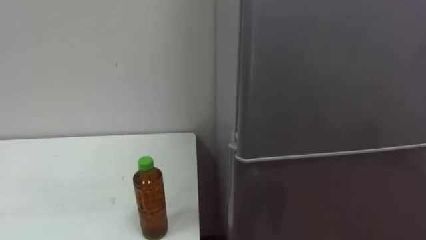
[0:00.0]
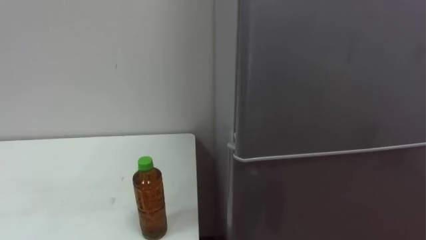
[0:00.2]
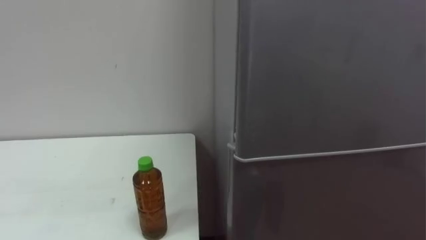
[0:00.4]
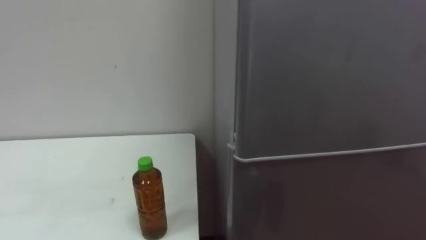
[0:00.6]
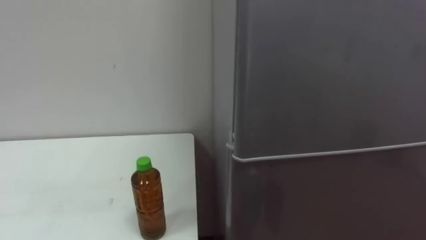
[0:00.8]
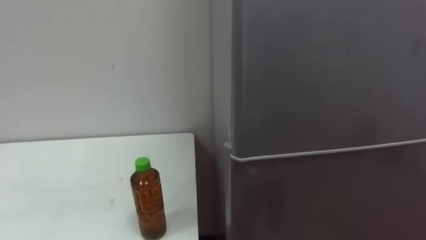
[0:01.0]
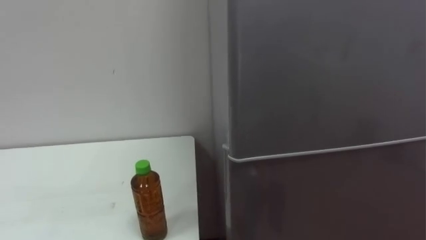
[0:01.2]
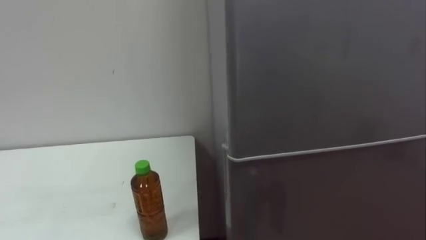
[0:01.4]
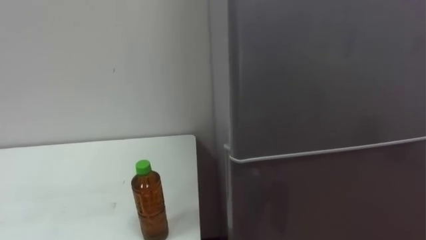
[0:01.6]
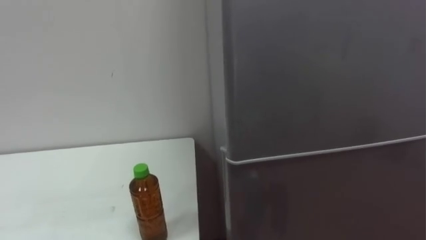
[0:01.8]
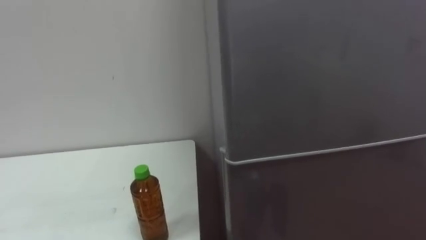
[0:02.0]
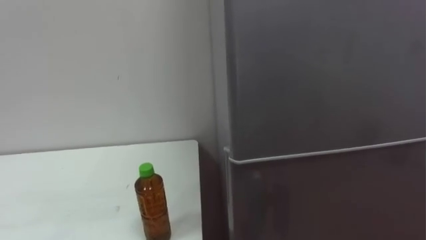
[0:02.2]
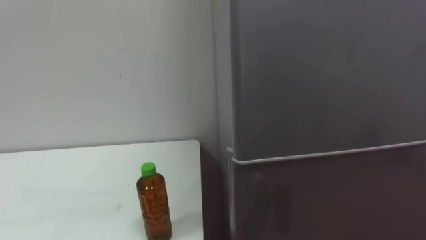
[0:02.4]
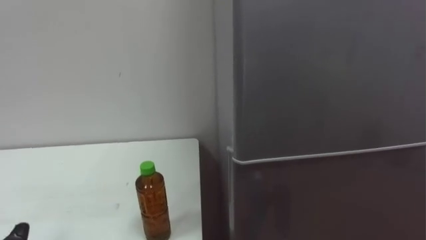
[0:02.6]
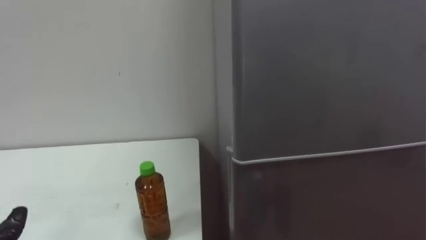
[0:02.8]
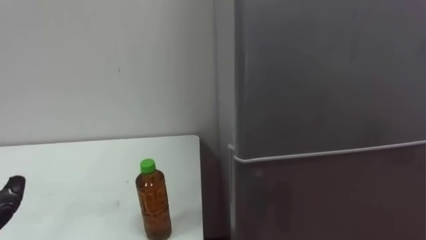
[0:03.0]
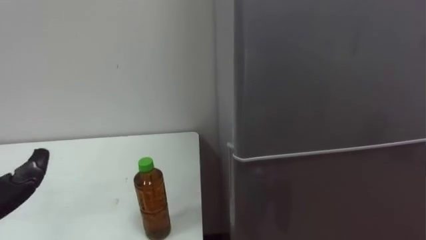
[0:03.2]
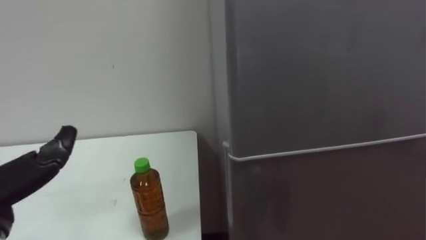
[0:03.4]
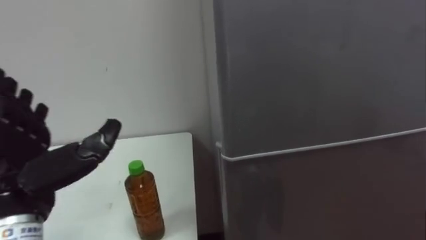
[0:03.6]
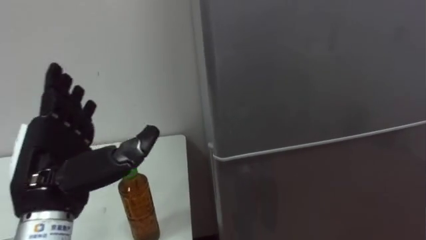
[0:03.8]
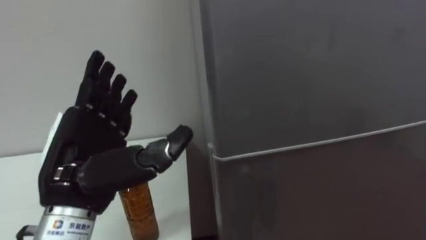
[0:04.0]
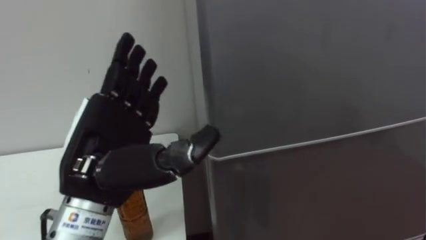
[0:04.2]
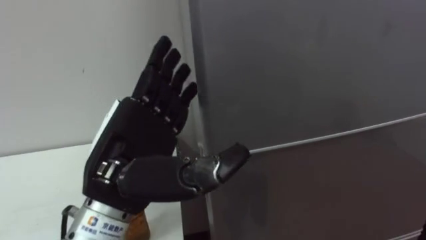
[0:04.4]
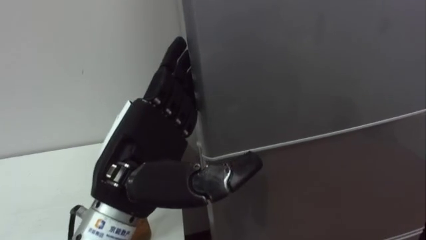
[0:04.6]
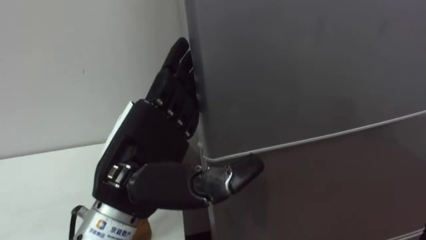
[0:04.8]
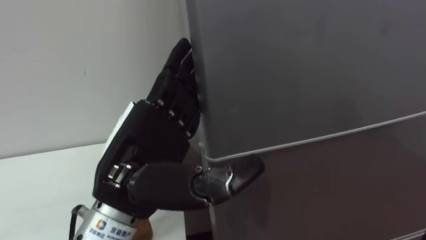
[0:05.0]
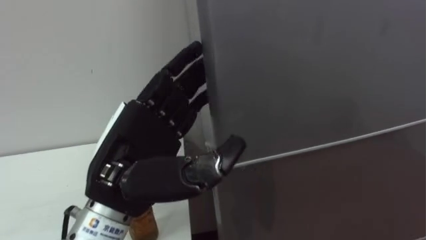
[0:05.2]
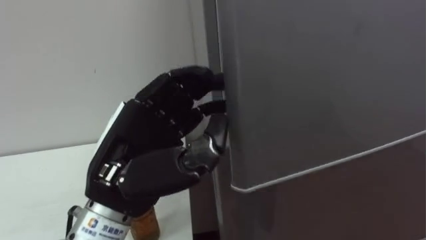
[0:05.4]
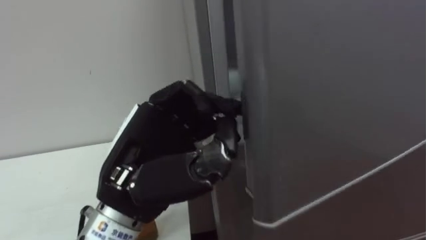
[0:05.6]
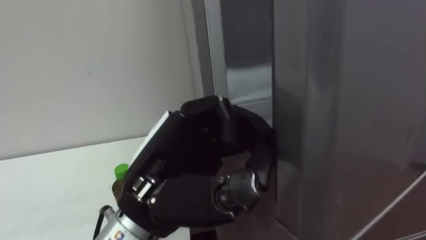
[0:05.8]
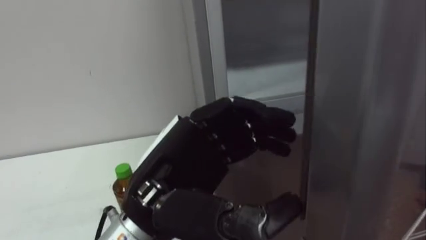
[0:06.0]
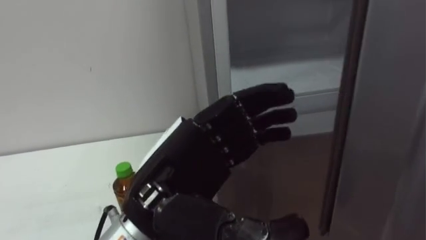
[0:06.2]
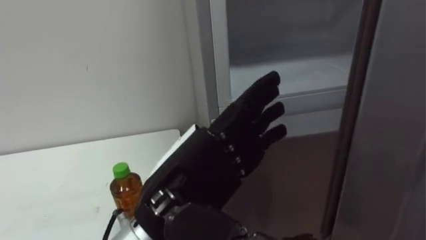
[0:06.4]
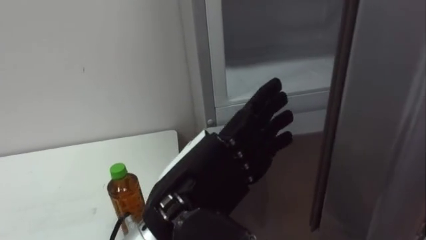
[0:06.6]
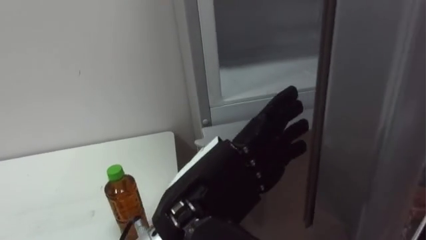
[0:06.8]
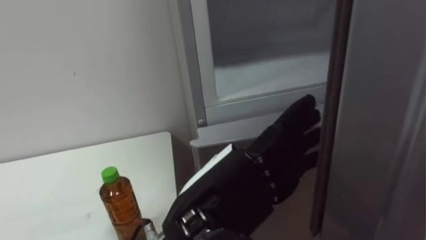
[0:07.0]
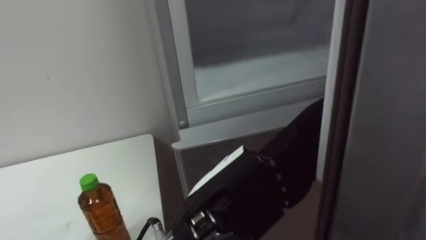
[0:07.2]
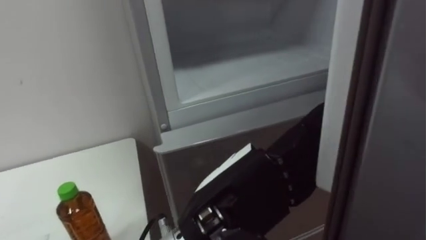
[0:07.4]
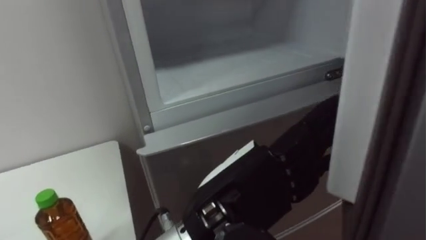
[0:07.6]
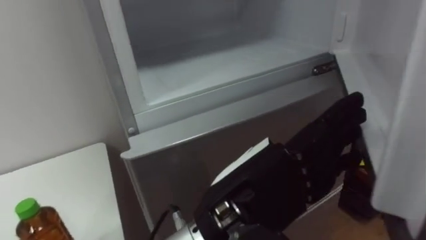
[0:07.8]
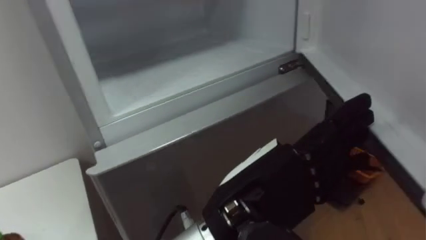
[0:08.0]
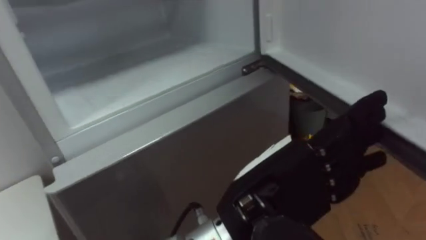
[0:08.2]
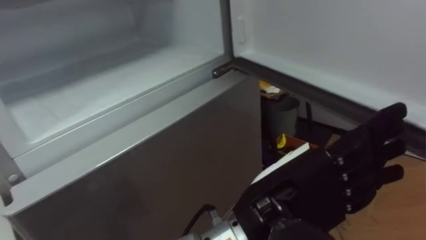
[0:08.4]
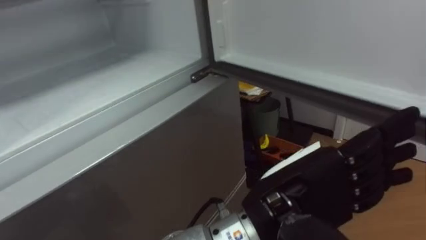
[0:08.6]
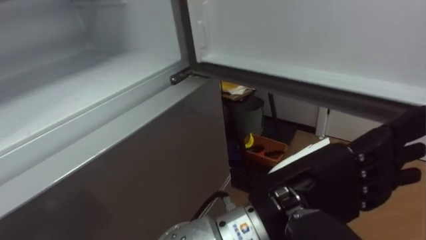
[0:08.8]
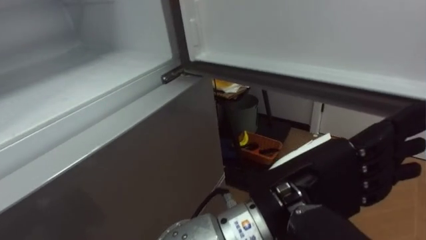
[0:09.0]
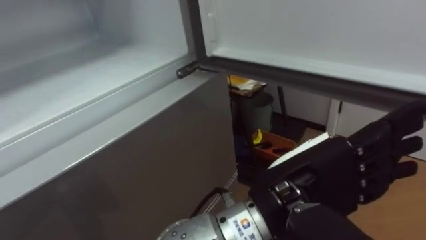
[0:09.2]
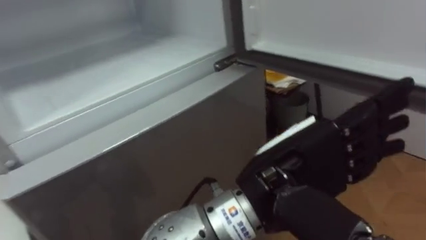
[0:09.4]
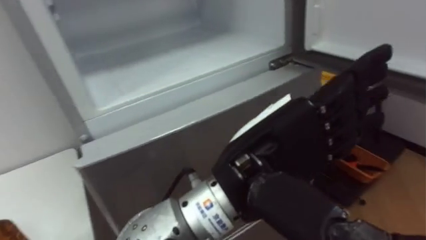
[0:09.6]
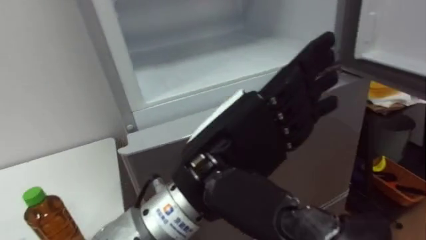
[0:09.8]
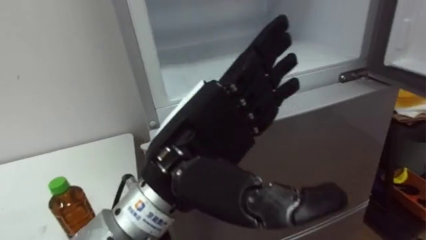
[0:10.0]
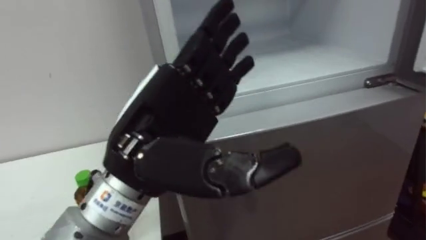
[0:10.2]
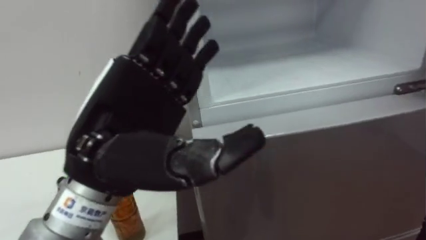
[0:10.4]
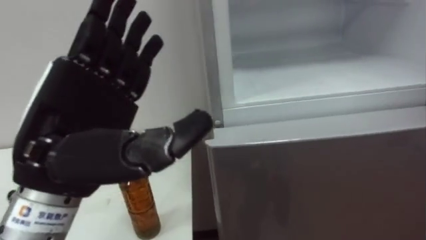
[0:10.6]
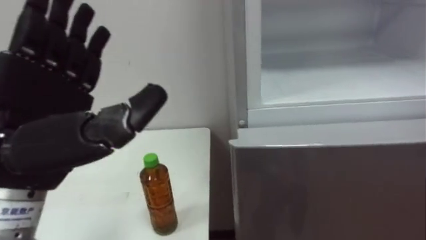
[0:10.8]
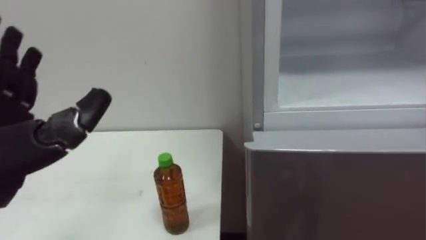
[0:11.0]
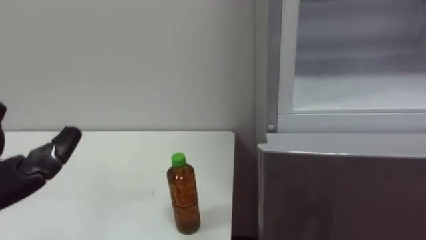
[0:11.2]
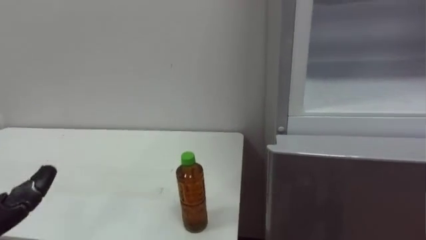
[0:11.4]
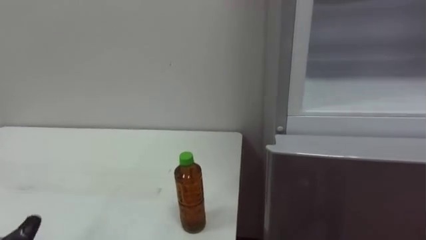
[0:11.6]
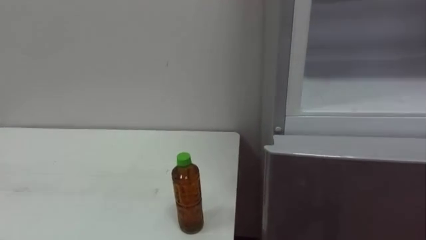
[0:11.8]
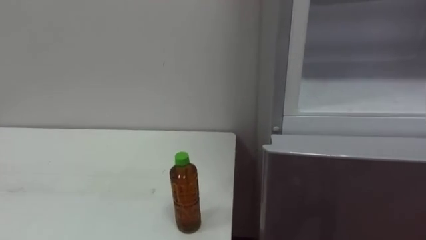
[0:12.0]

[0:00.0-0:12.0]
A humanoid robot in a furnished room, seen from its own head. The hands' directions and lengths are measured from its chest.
Task of the whole recording: Open the upper refrigerator door, put the drink from the table into the refrigerator, and then close the refrigerator door.
0:04.4 to 0:06.0: The left hand goes about 5 cm to the right, and closes its fingers.
0:06.0 to 0:07.6: The left hand moves to the right, some 5 cm, and opens.
0:07.6 to 0:09.0: The robot's body swings approximately 20 degrees to its right. The left hand heads to the right, covering approximately 5 cm.
0:09.0 to 0:10.4: The left hand moves to the left, some 20 cm.

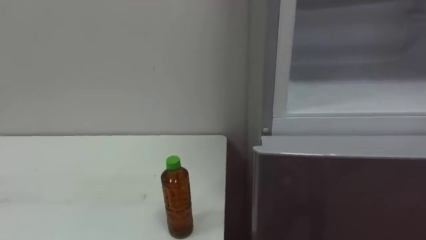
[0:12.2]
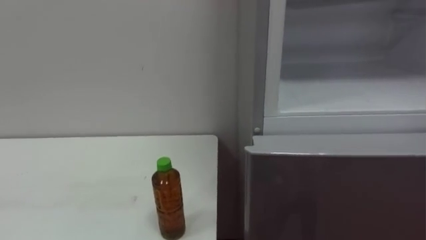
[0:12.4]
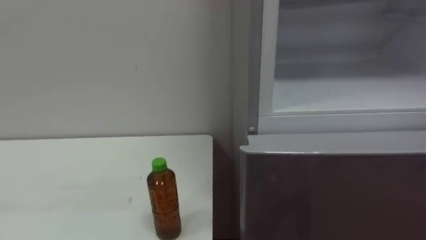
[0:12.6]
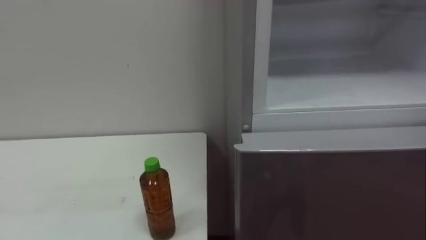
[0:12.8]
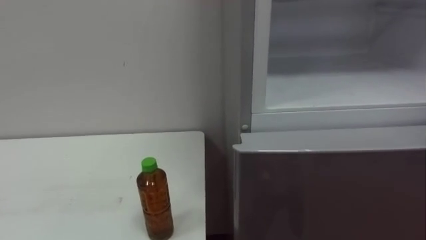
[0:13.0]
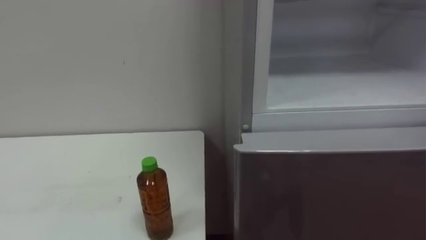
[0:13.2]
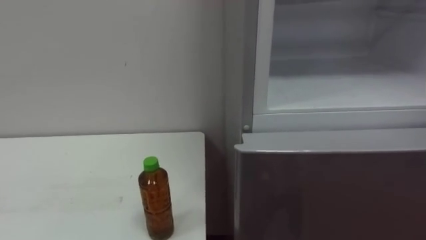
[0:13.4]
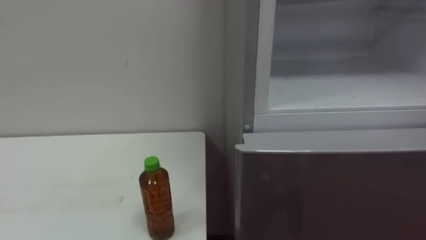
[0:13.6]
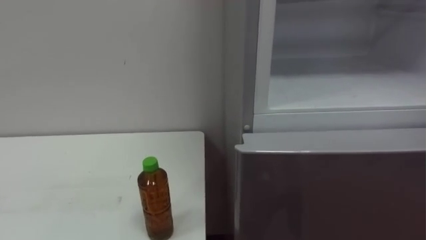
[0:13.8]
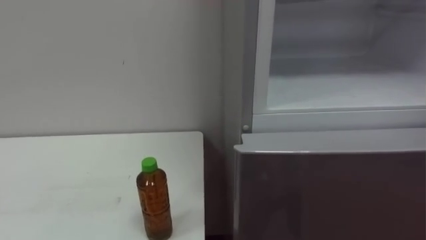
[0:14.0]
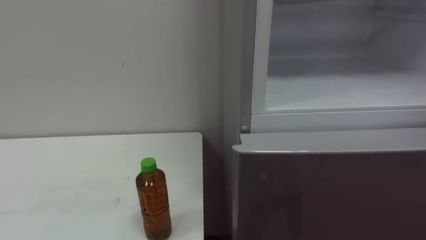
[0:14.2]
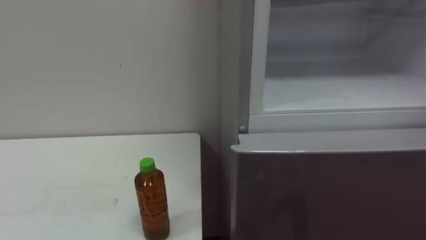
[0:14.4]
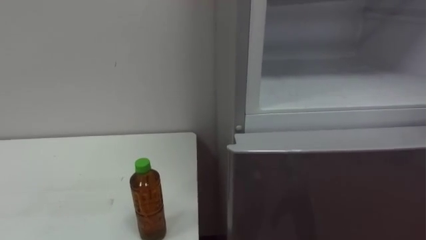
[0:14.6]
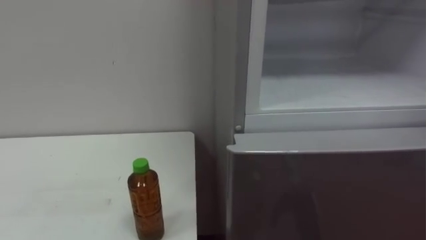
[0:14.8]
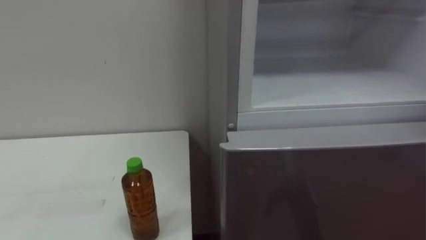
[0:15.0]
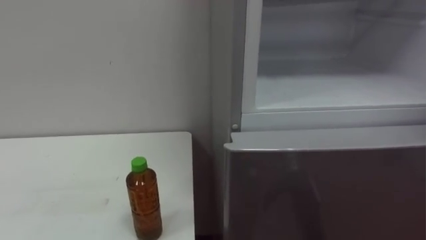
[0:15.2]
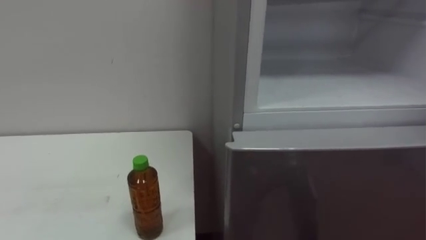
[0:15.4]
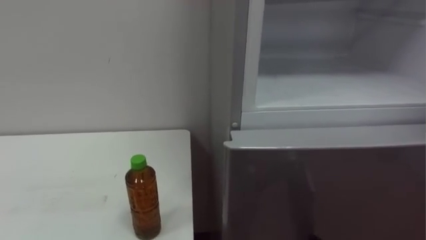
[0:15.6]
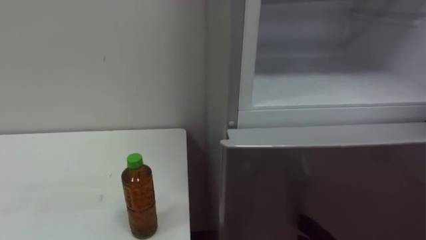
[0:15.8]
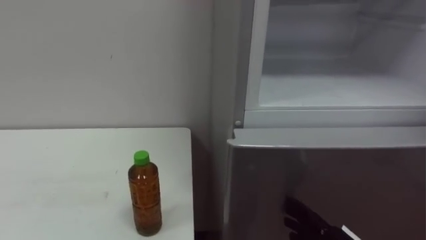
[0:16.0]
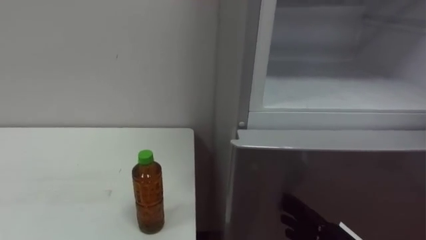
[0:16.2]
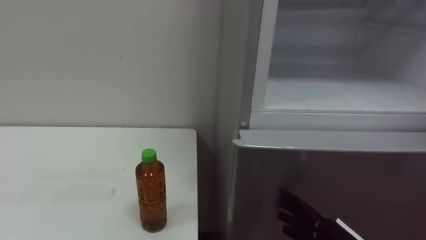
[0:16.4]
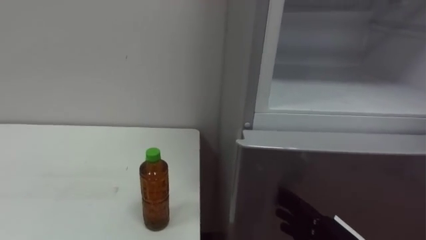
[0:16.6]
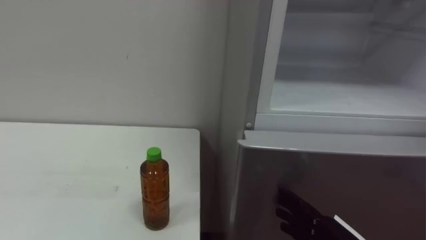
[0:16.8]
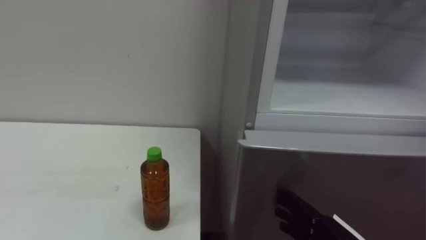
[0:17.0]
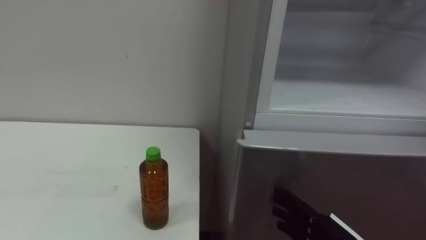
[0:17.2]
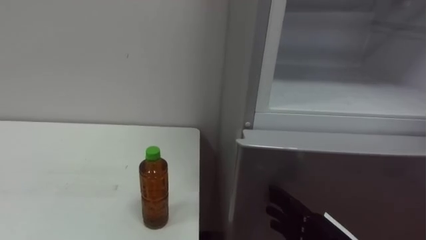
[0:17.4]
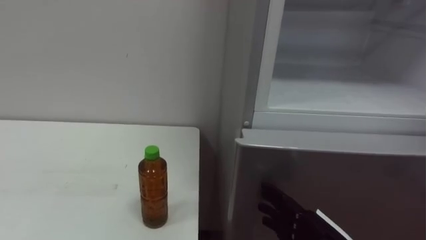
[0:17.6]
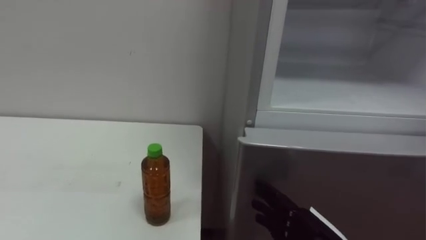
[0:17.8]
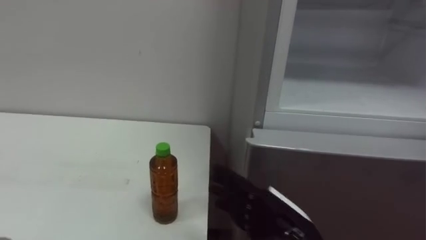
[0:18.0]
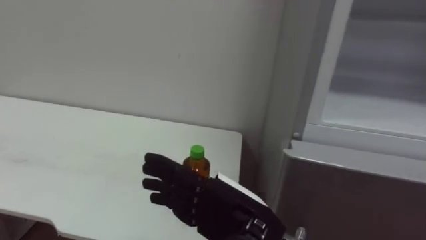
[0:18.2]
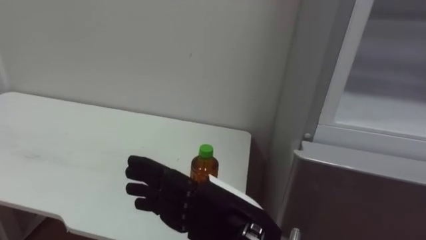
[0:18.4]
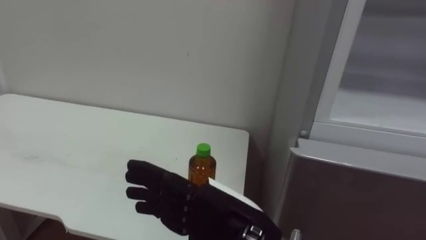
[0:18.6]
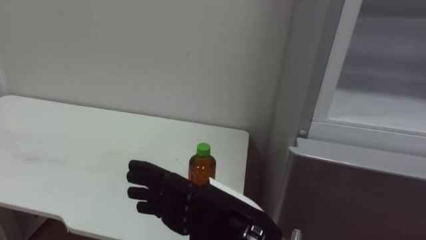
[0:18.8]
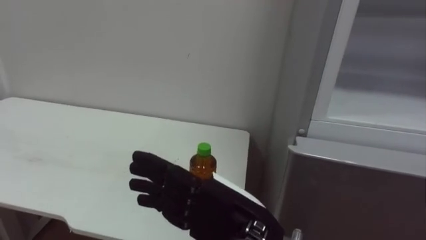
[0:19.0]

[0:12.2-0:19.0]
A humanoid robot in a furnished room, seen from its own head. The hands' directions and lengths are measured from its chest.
Task of the whole recording: Open the upper refrigerator door, put the drink from the table into the refrigerator, and then close the refrigerator door.
0:17.6 to 0:19.0: The right hand moves to the left and upward, roughly 15 cm.
